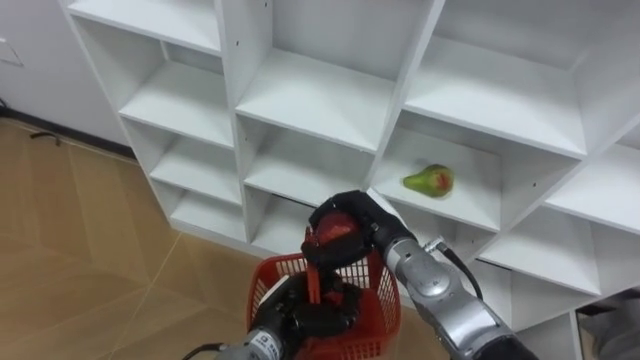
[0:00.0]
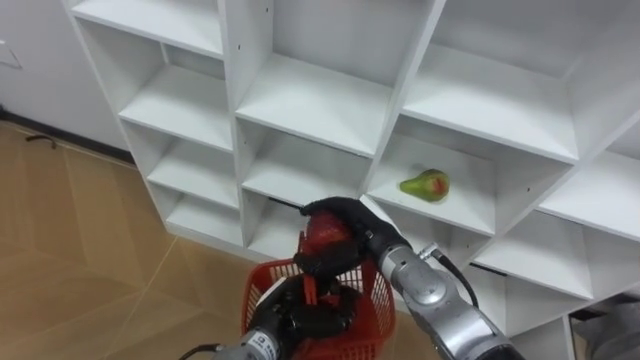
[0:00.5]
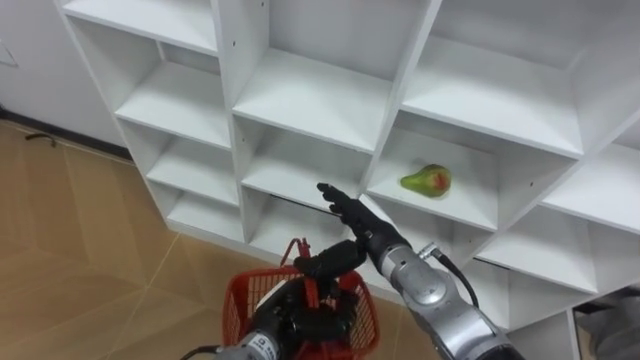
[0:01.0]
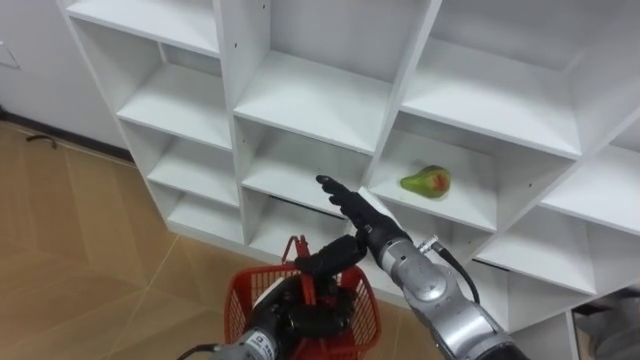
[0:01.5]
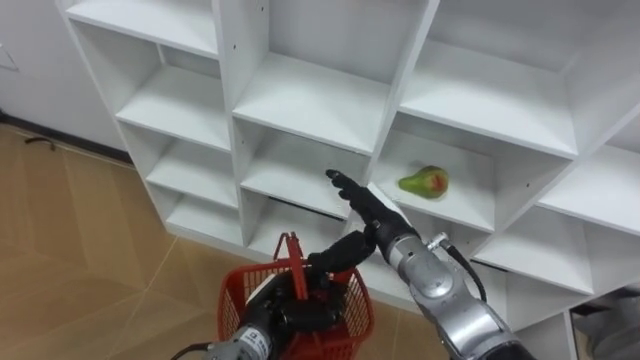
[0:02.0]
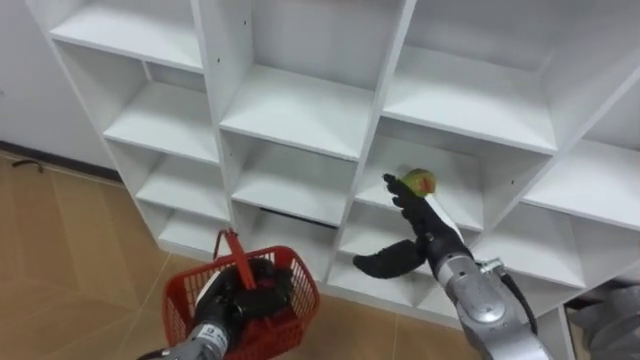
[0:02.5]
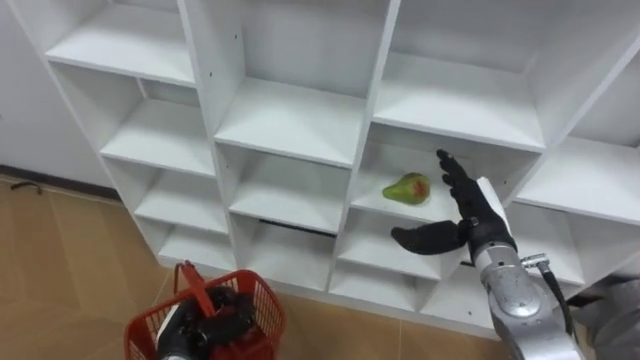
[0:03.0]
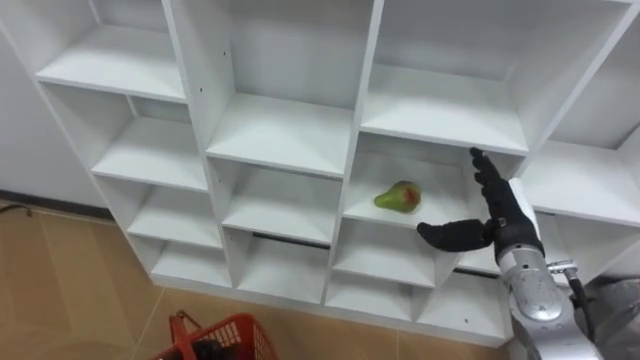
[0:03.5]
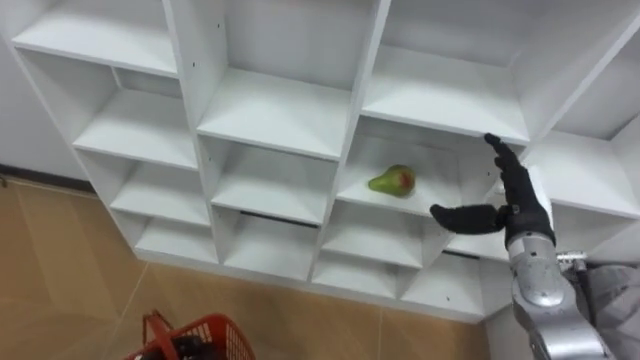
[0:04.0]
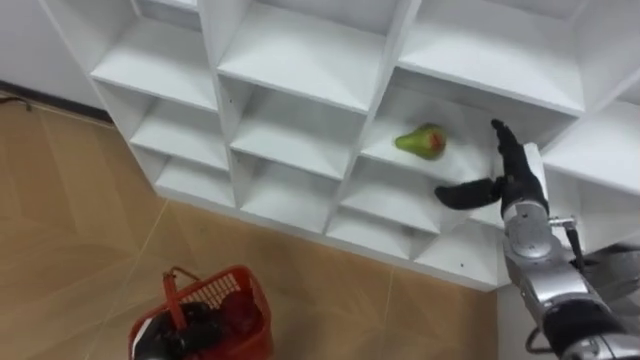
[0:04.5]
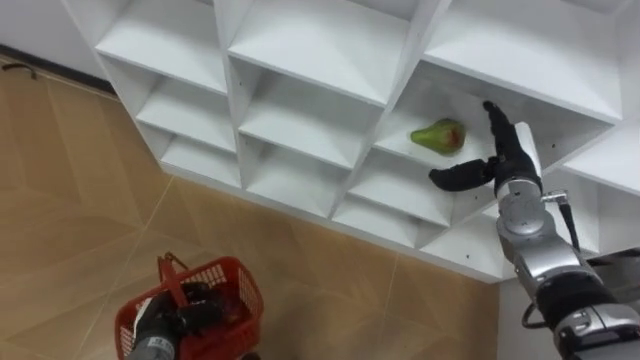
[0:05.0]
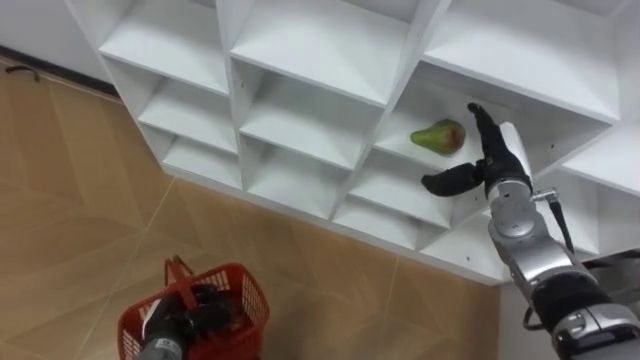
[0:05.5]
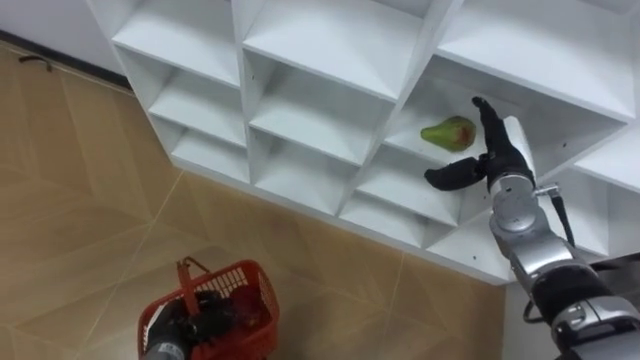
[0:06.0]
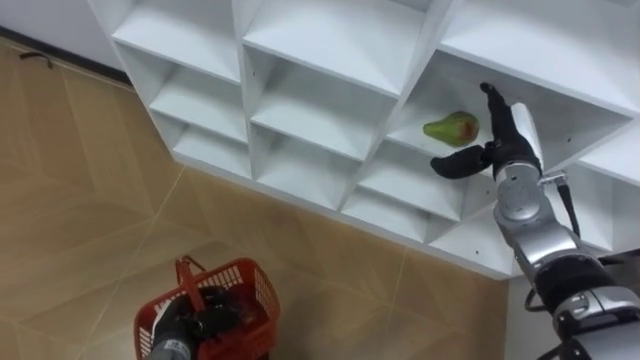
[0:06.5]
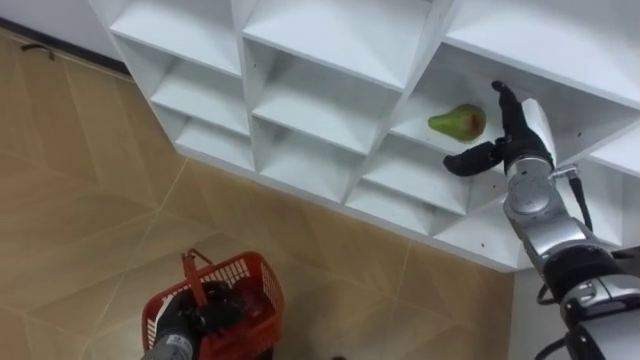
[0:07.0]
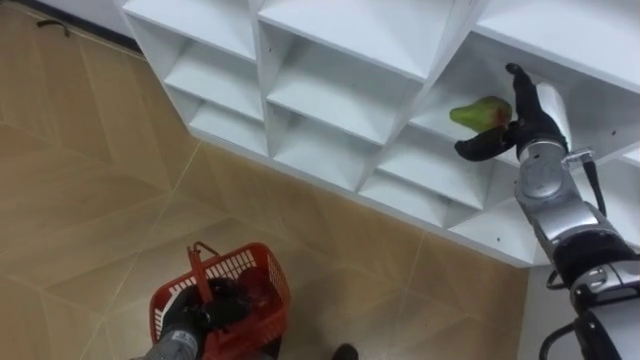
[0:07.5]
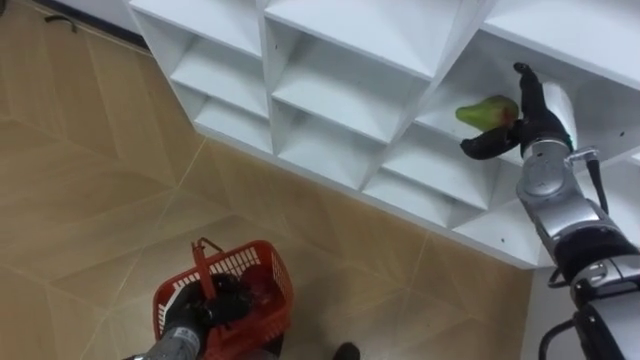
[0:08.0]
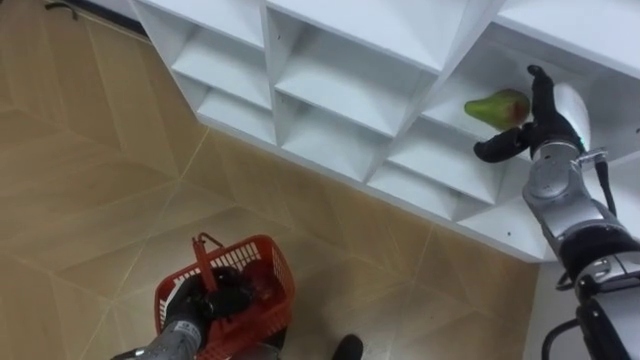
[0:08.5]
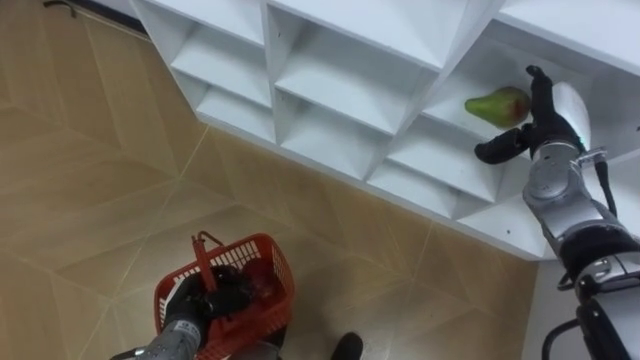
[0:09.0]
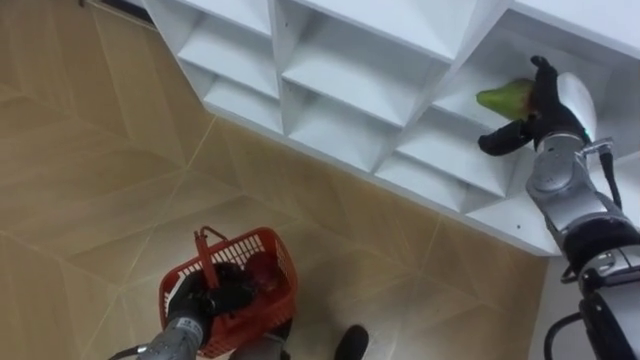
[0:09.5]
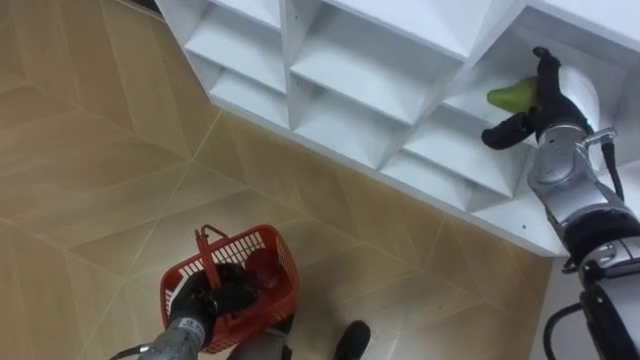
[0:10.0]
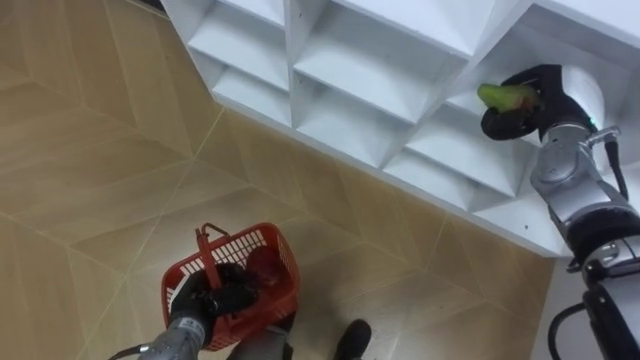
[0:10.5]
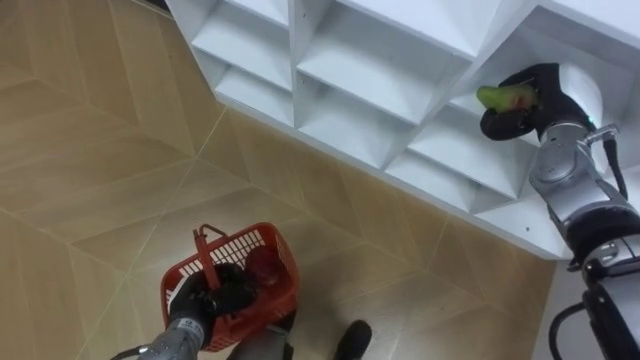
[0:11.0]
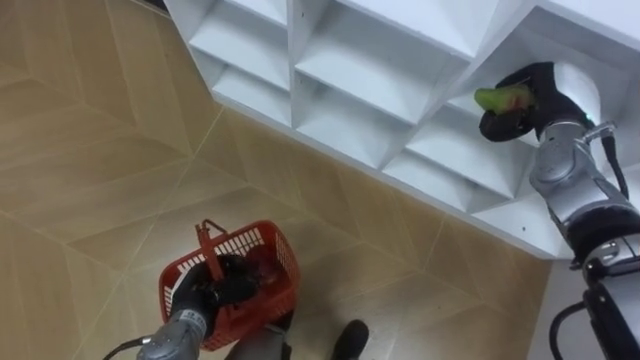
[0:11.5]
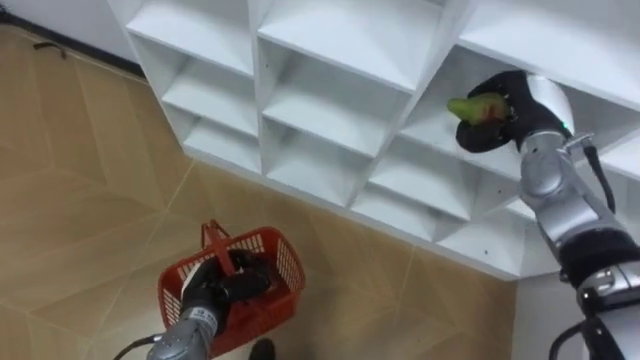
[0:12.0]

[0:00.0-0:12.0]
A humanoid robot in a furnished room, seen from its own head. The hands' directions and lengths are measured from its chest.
Task of the whole recording: Hold the basket and collect the fruits from 3 different cells of the closet into it.
0:00.0 to 0:02.0: The right hand opens.
0:02.0 to 0:04.0: The right hand is displaced to the right by roughly 20 cm.
0:04.0 to 0:06.0: The right hand goes about 5 cm forward.
0:06.0 to 0:08.0: The right hand changes place by some 5 cm.
0:10.0 to 0:12.0: The right hand closes its fingers.

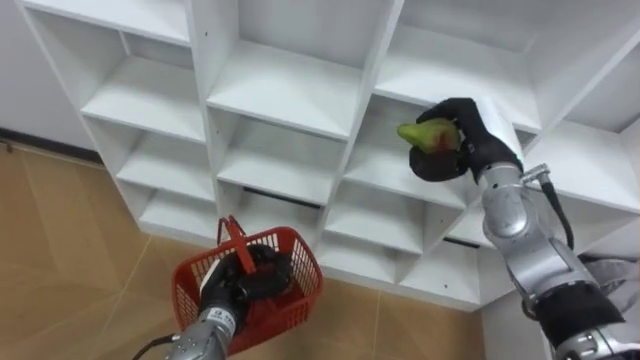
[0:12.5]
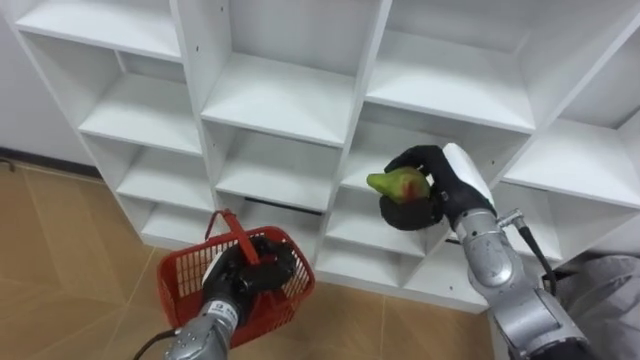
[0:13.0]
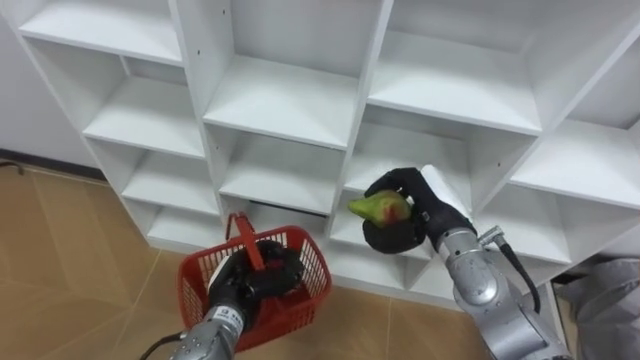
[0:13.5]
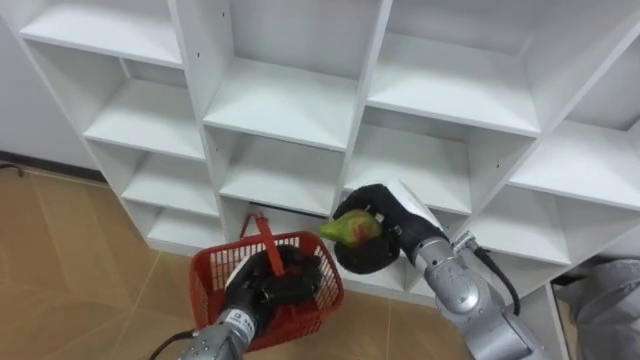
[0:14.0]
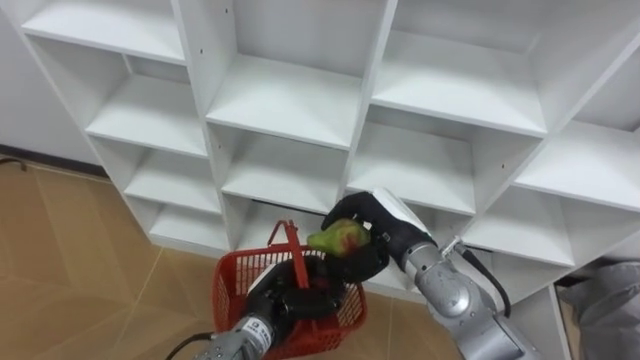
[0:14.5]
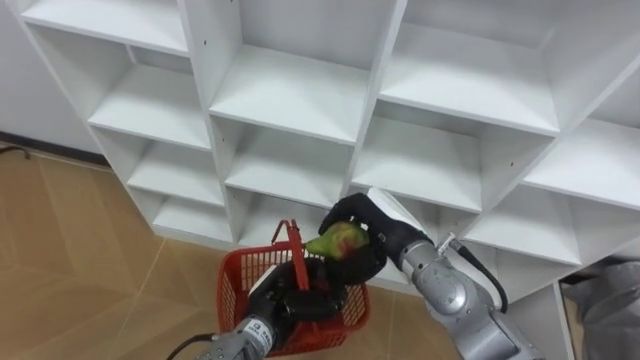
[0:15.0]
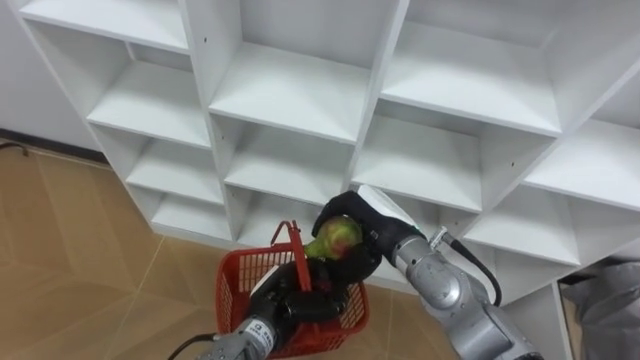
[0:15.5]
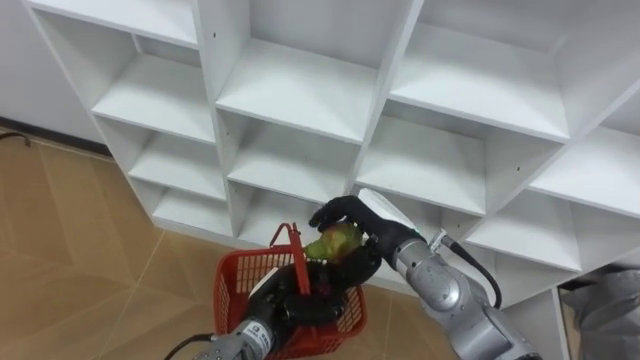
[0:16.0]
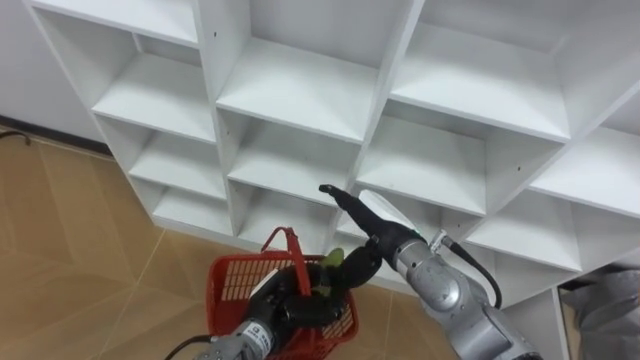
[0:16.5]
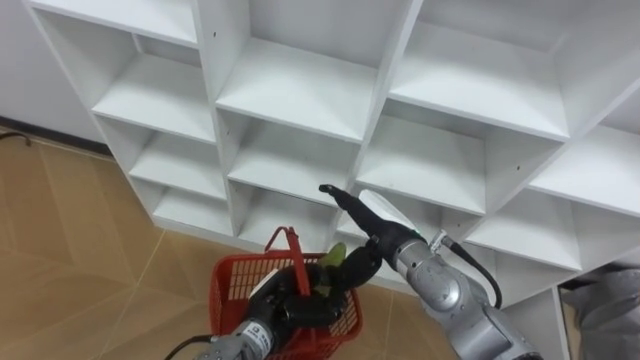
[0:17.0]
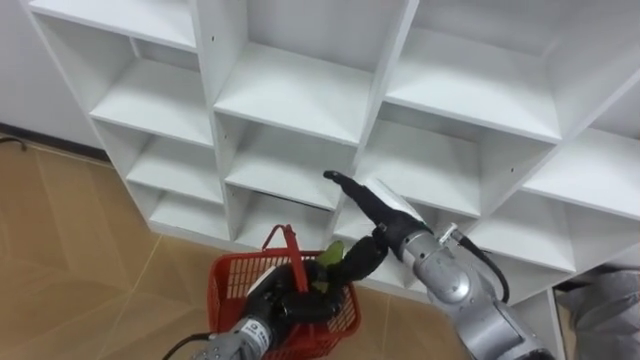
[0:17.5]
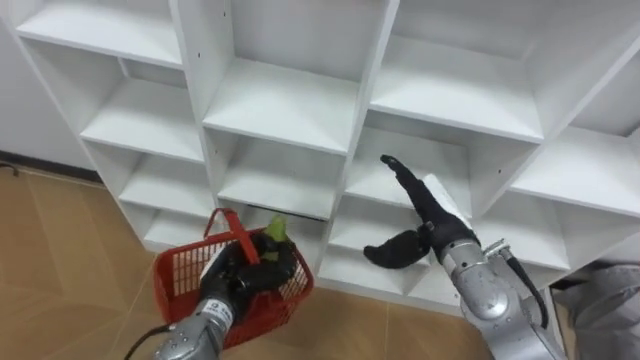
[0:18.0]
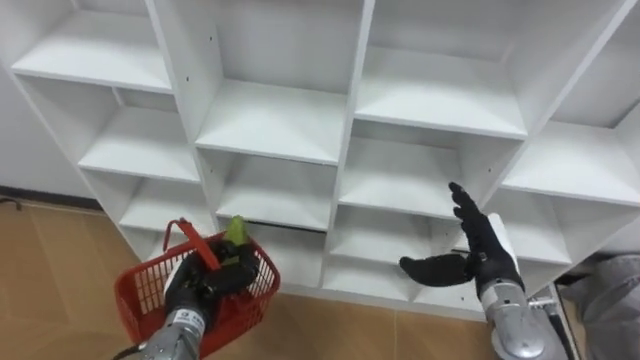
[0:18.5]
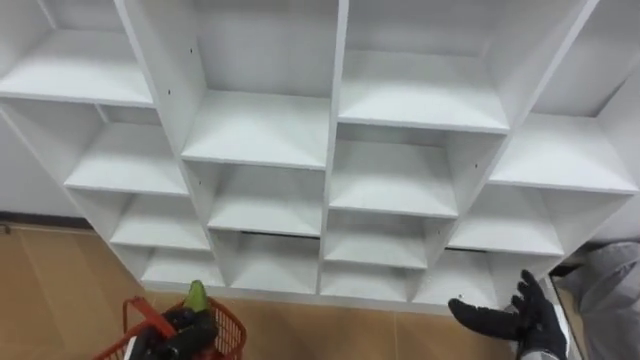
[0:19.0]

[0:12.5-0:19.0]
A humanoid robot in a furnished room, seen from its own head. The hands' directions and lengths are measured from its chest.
Task of the whole recording: Hold the basket and collect the fruits from 3 different cells of the closet into it.
0:12.5 to 0:14.5: The right hand is displaced to the left, backward and downward by some 15 cm; the left hand shifts some 5 cm to the right.
0:14.5 to 0:17.0: The right hand opens its fingers.
0:17.0 to 0:19.0: The left hand is displaced to the left by roughly 15 cm. Meanwhile the right hand travels to the right, backward and downward by some 25 cm.

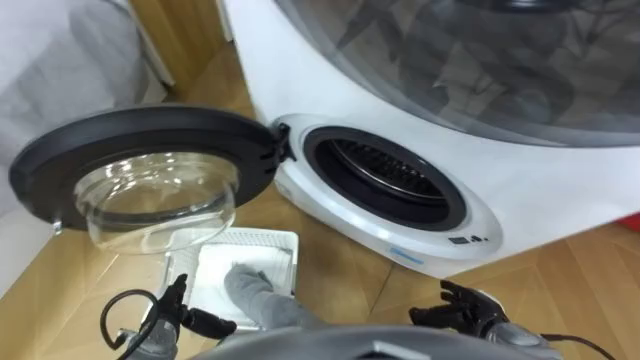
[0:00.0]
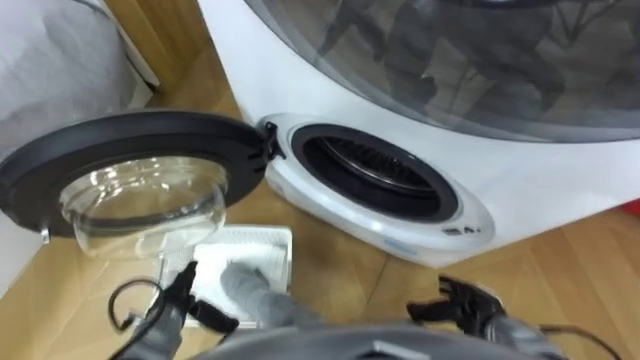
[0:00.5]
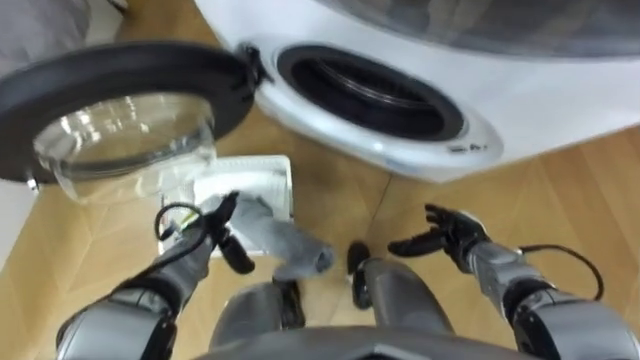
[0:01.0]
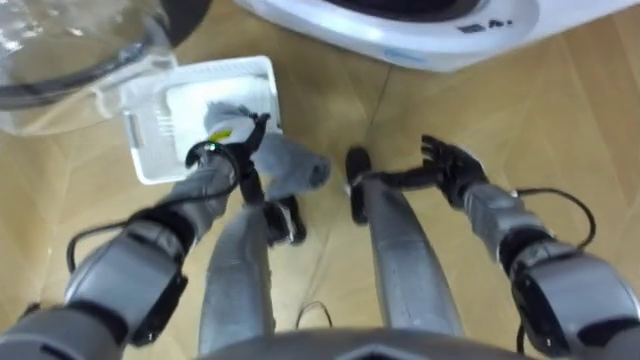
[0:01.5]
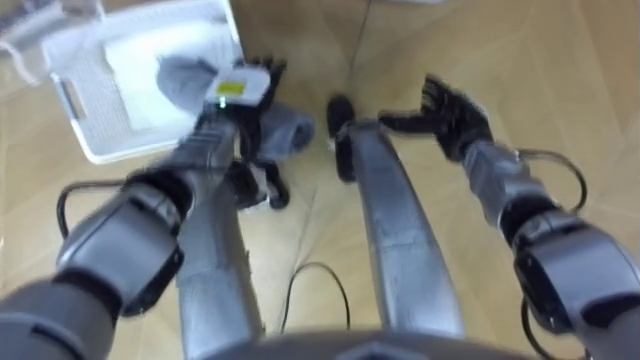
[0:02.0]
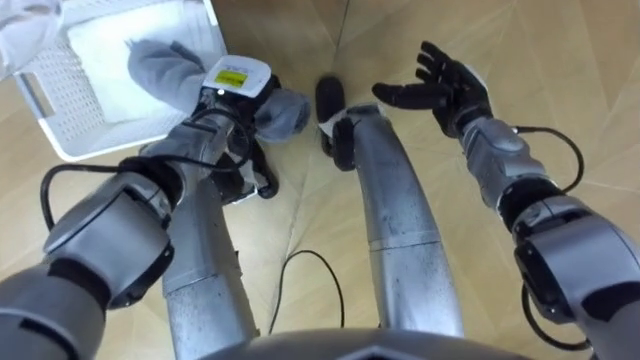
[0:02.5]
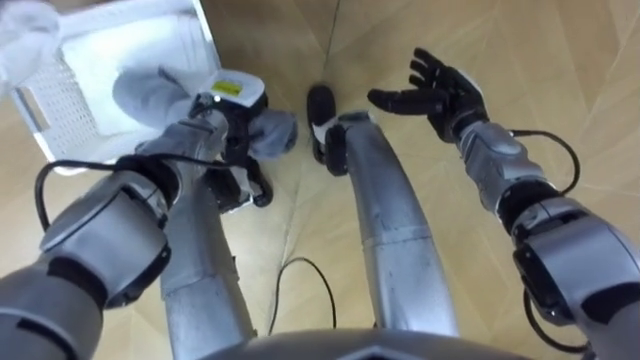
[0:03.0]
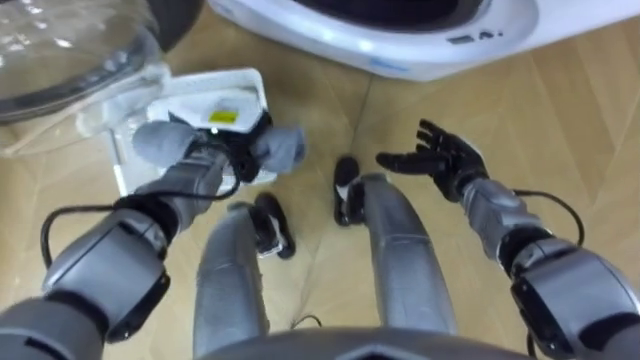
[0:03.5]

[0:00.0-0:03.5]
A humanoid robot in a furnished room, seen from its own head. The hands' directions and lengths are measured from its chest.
Task of the whole recording: Take the towel from the basket and put it into the washing machine.
0:02.0 to 0:03.5: The right hand moves approximately 5 cm. Meanwhile the left hand closes.
